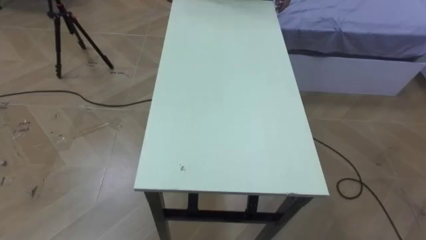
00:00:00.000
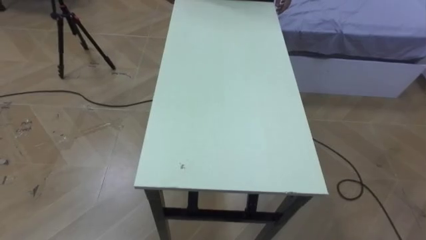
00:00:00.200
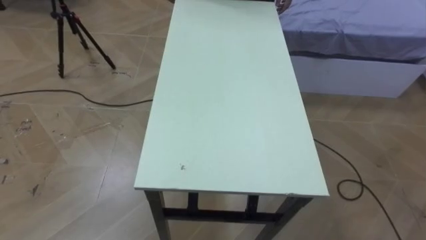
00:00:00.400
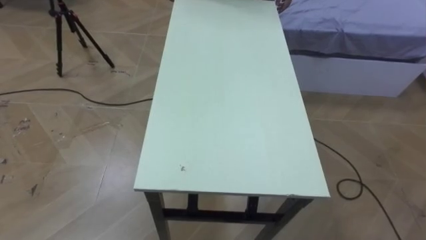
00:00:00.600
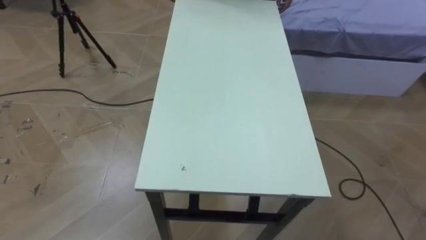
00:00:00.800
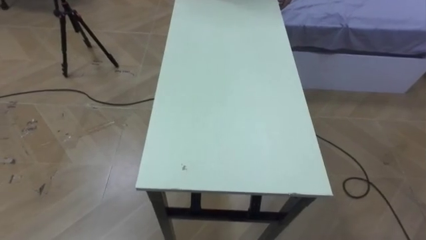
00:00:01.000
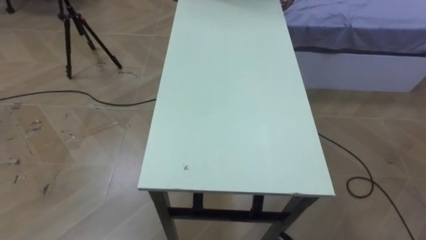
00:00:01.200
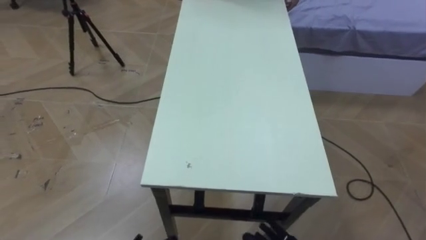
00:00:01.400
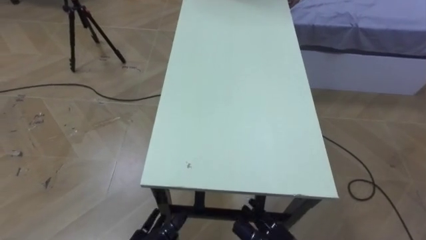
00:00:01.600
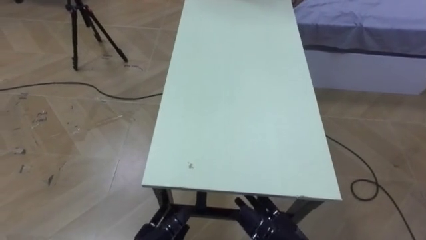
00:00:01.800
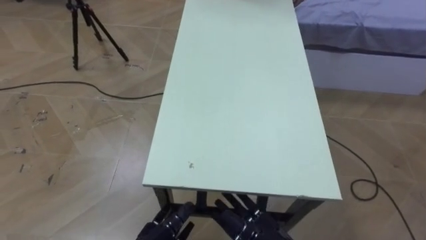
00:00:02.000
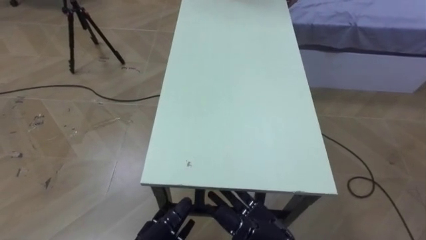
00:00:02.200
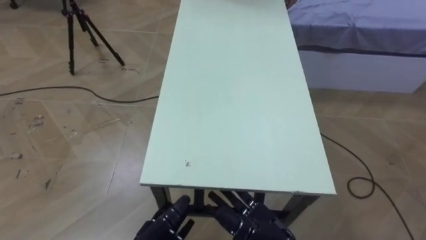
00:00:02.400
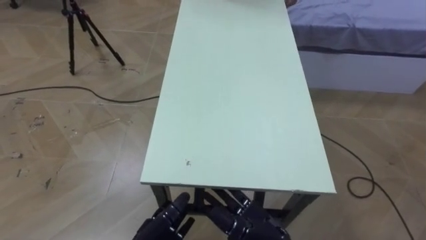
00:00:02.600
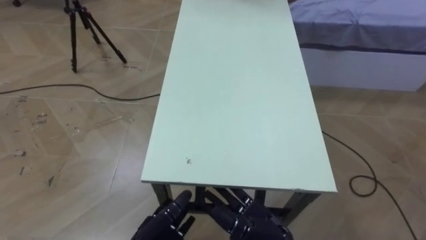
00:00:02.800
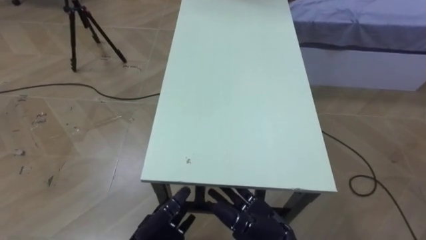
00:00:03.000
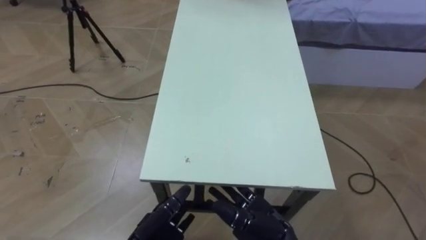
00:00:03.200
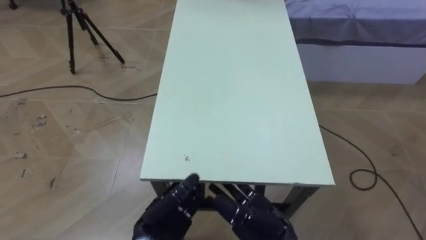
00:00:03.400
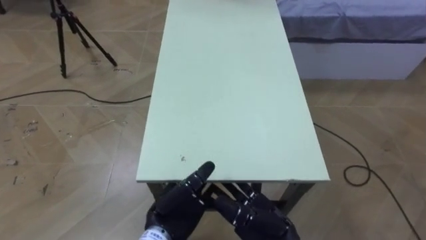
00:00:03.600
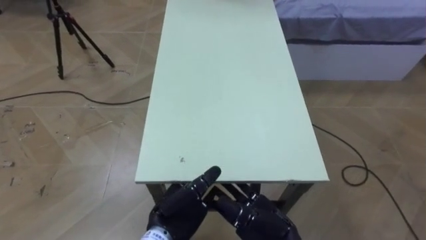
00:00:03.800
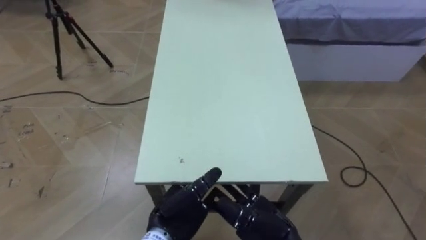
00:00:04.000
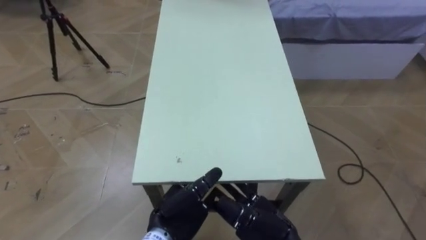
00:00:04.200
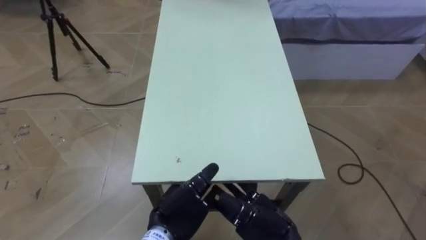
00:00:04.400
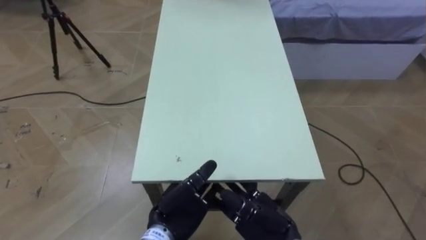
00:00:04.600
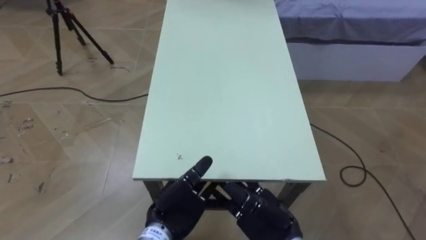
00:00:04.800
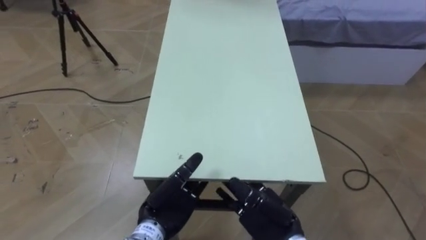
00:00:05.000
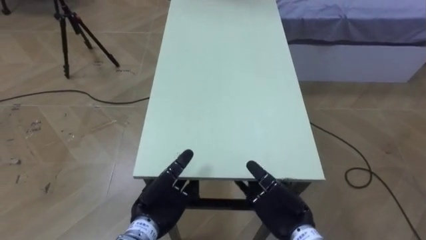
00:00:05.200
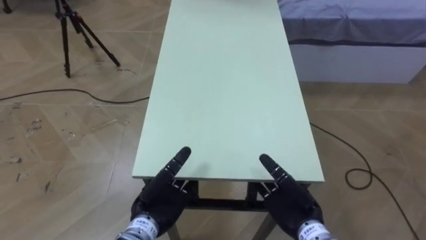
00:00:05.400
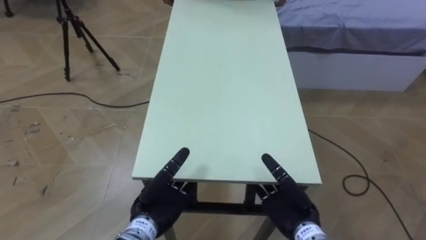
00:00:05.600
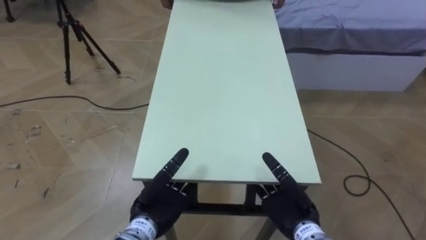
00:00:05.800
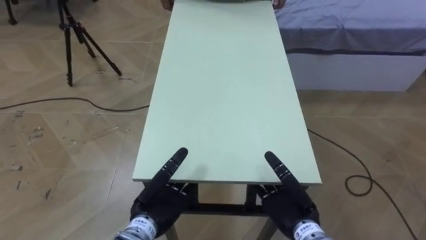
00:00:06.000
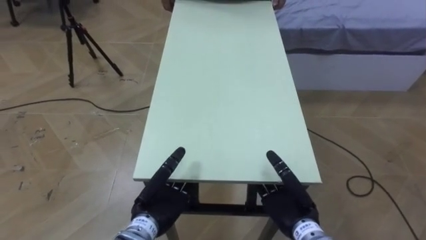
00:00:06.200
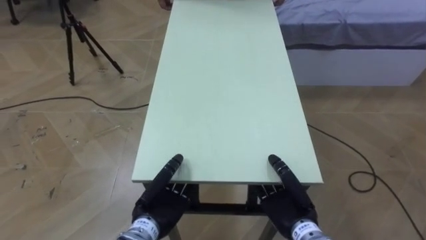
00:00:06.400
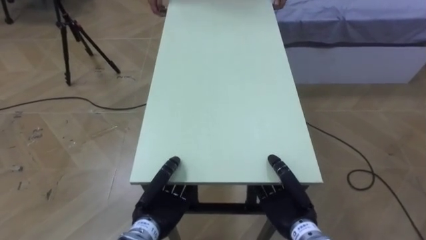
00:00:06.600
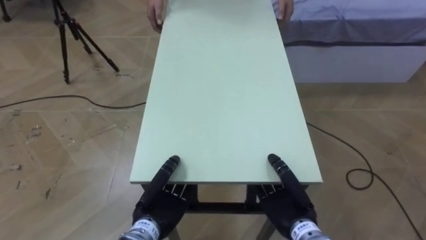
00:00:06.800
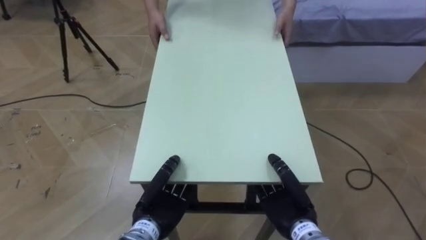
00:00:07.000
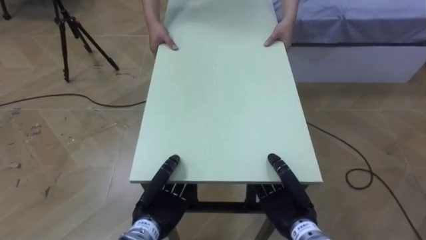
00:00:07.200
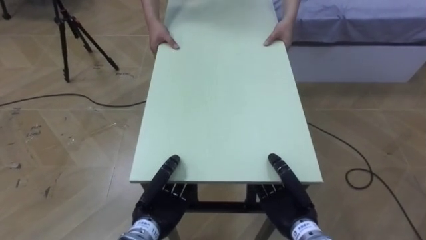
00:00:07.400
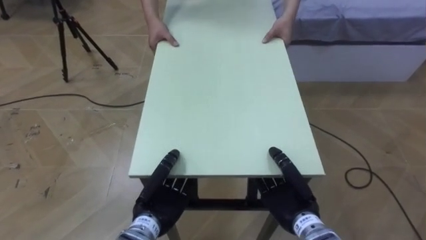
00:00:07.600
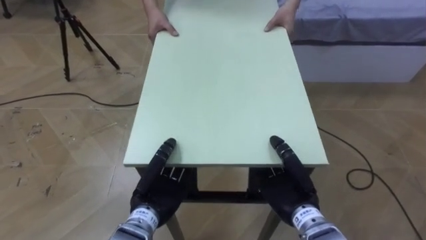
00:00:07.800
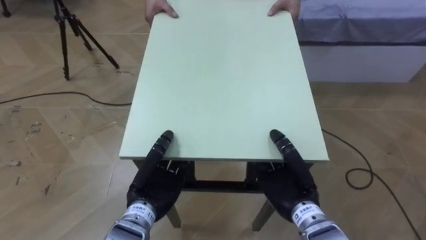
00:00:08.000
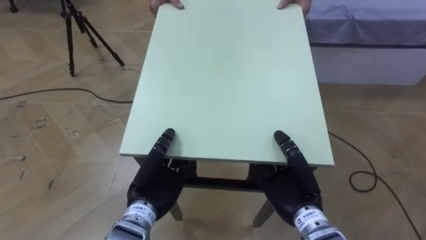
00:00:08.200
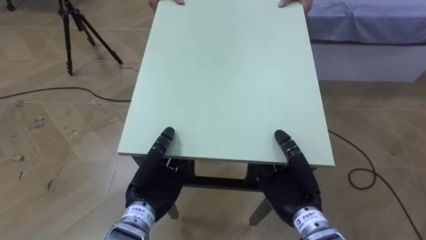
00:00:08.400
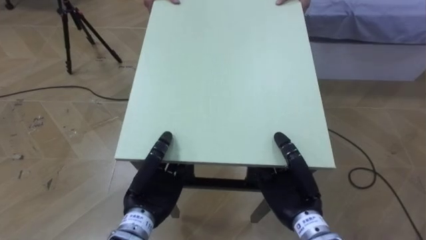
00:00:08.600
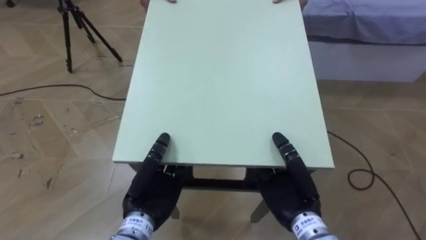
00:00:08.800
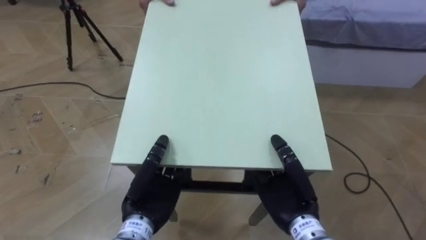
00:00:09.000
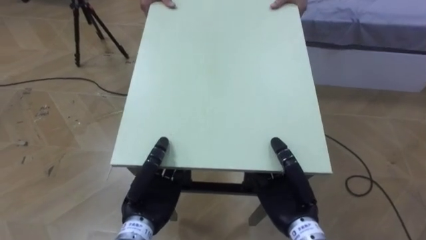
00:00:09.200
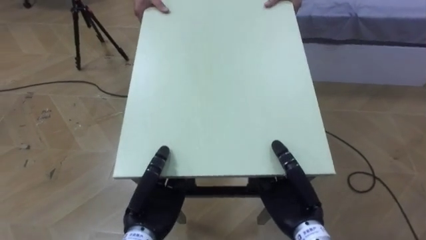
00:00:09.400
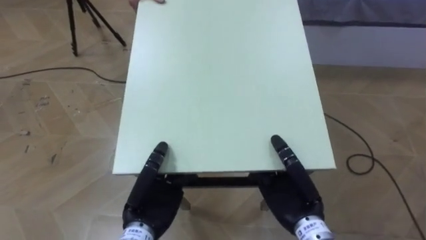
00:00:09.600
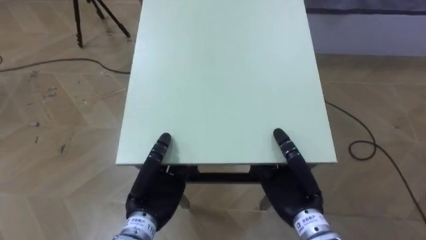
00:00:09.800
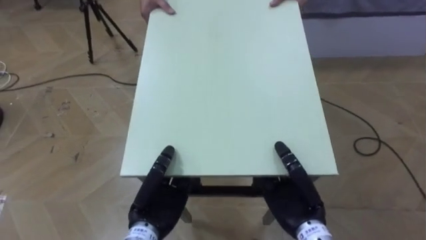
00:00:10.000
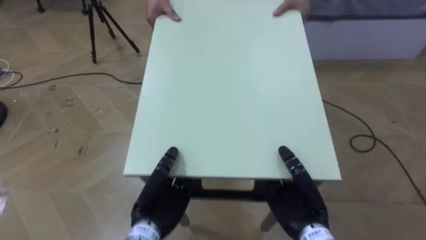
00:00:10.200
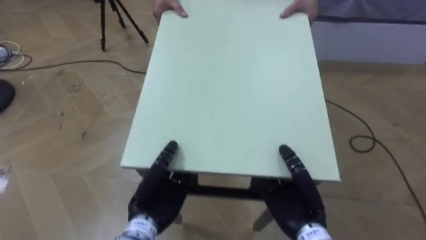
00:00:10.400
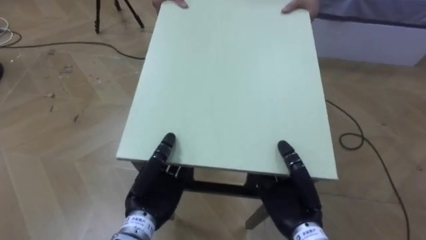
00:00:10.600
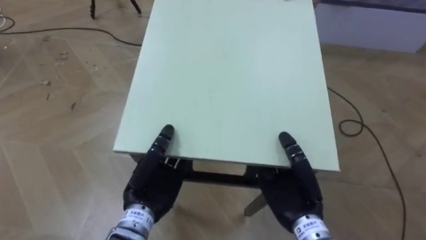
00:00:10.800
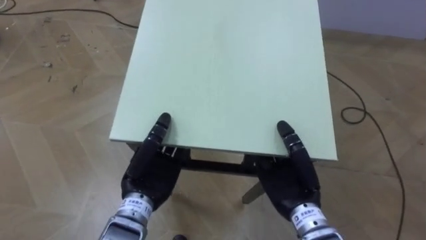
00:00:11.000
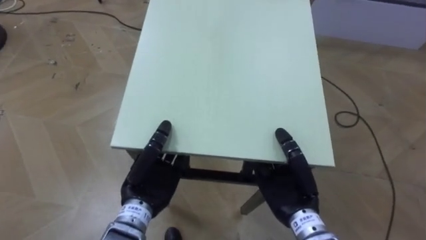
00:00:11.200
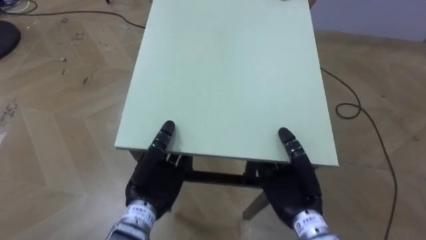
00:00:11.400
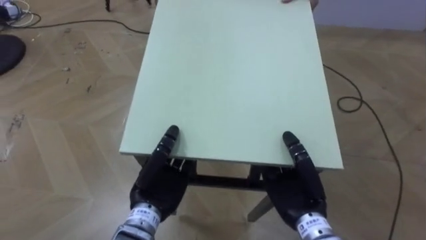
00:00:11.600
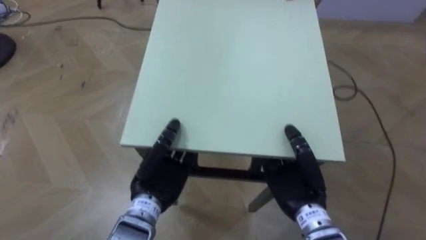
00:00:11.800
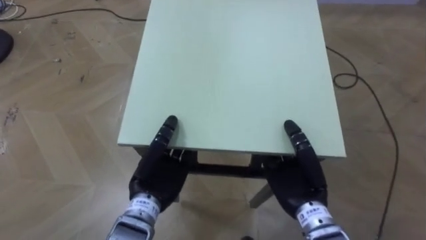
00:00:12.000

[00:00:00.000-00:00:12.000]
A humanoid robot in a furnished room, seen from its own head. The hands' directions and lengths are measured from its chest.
Task of the whole recording: Move the table to the back left with someone.
00:00:03.000 to 00:00:04.400: The left hand ends up approximately 5 cm from where it was.
00:00:04.400 to 00:00:06.000: The right hand shifts roughly 5 cm to the right.
00:00:06.000 to 00:00:07.600: The left hand closes its fingers. The right hand closes.

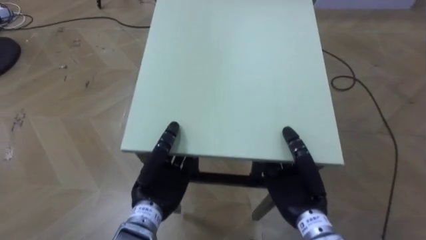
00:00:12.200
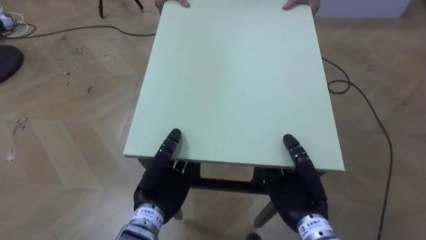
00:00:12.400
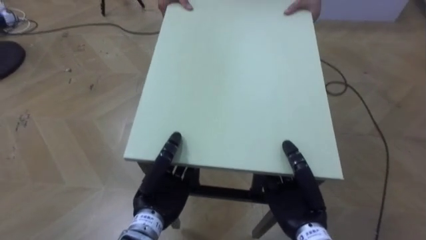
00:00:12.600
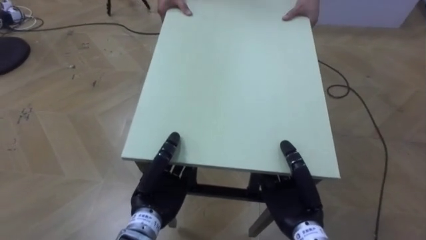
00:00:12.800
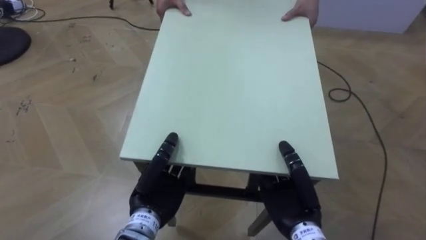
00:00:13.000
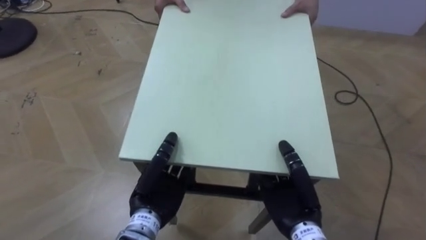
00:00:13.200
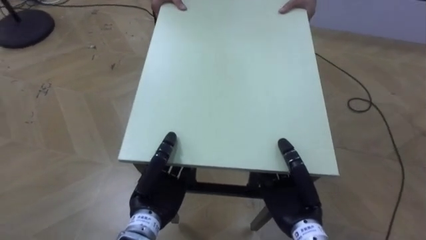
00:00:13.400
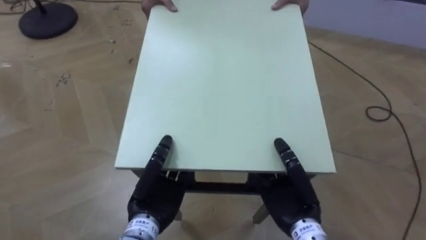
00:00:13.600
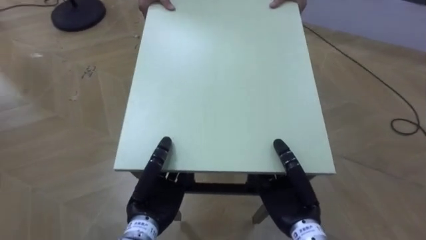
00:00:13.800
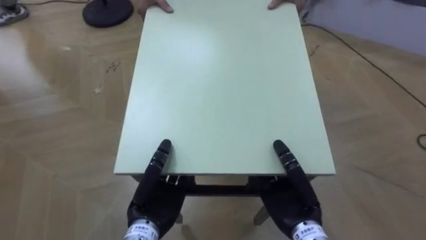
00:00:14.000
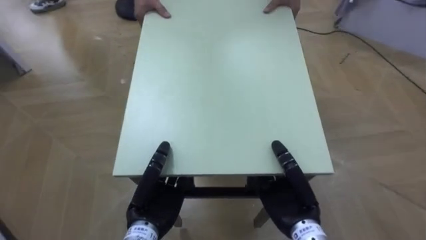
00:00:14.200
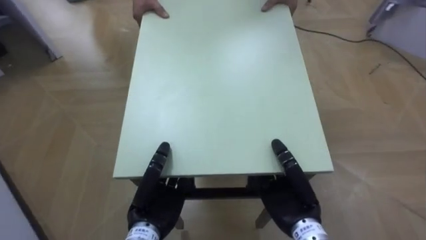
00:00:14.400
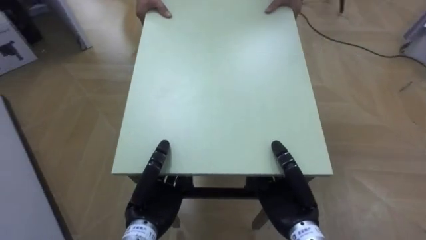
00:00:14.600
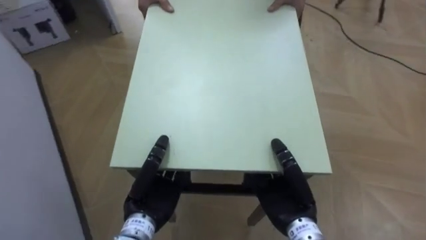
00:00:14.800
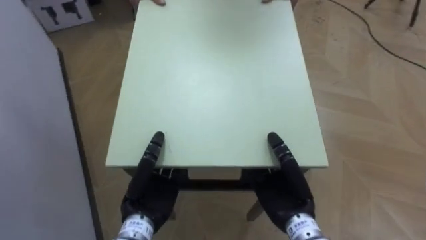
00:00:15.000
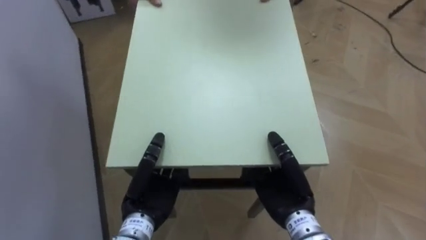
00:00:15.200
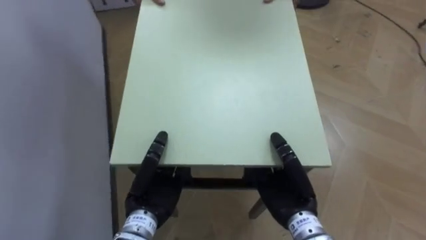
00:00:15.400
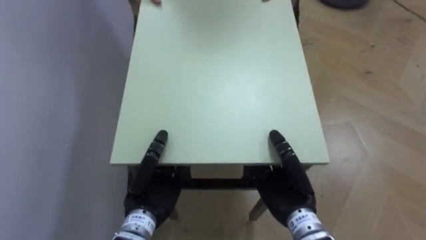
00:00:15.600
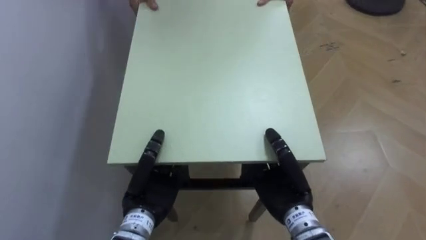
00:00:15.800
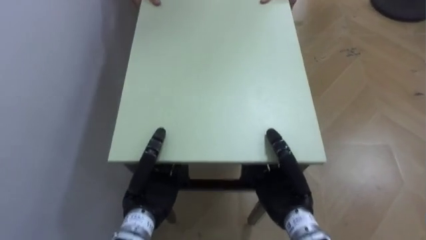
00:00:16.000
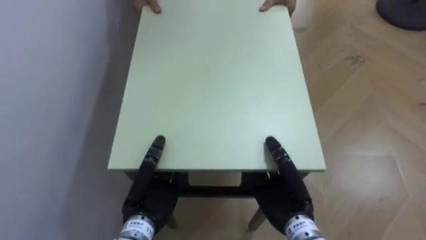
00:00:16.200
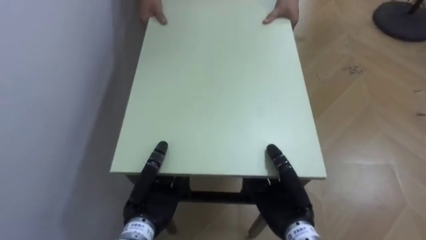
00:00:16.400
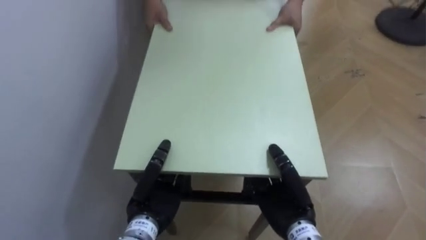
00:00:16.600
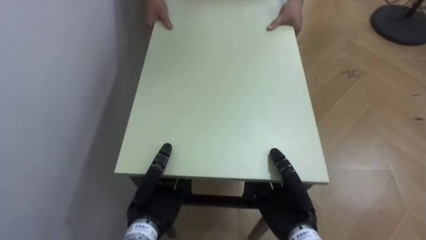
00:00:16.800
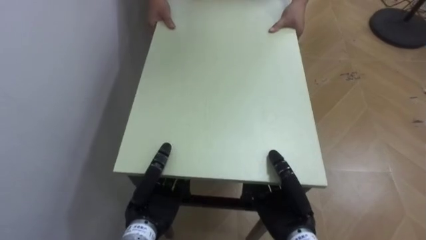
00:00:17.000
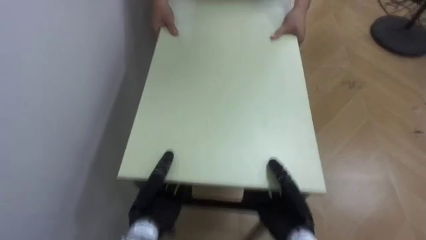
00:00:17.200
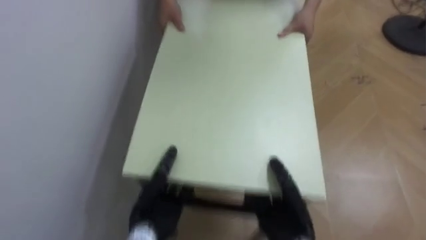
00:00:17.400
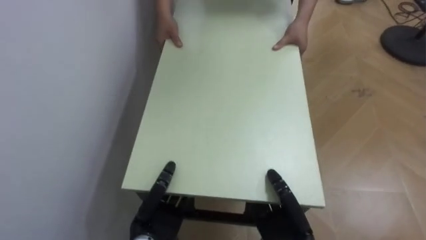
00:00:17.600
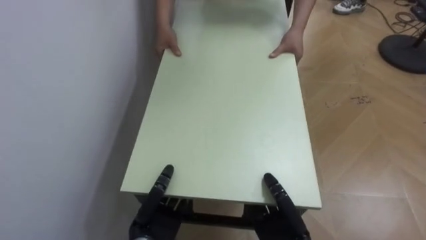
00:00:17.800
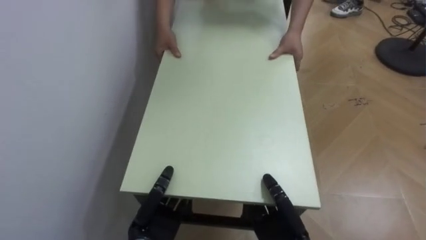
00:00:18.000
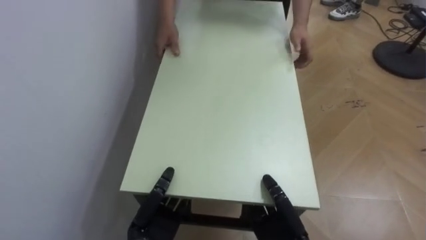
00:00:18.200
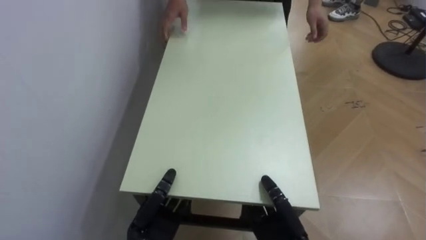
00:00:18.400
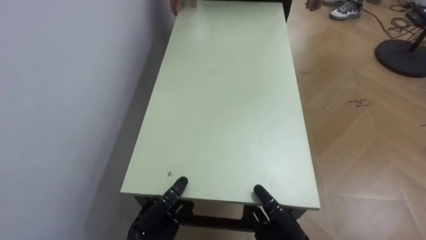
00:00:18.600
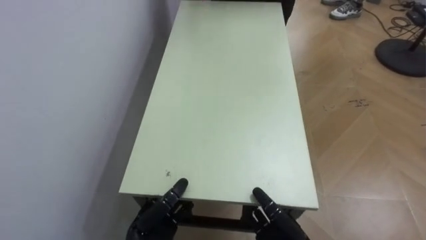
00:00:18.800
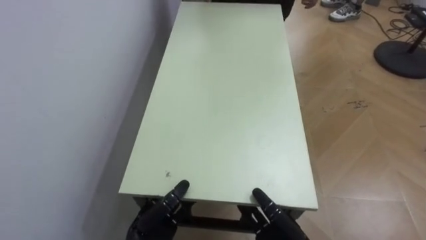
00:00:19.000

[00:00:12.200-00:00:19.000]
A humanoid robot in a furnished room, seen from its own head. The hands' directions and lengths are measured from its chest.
Task of the whole recording: Move the table to the back left with someone.
00:00:13.600 to 00:00:15.000: The robot faces approximately 45 degrees further to its left.
00:00:15.000 to 00:00:16.200: The robot faces some 30 degrees further to its left.
00:00:16.200 to 00:00:17.600: The hands both shift downward by roughly 5 cm.
00:00:17.600 to 00:00:19.000: The right hand opens. The left hand opens its fingers.
